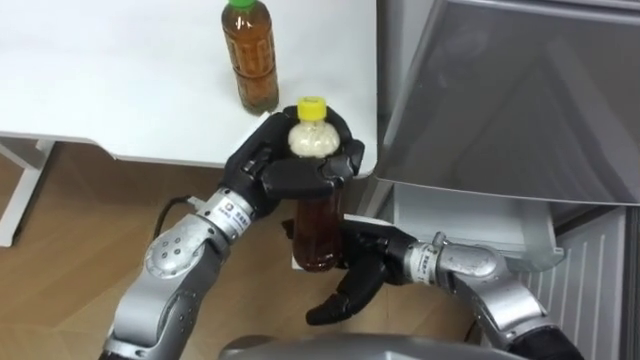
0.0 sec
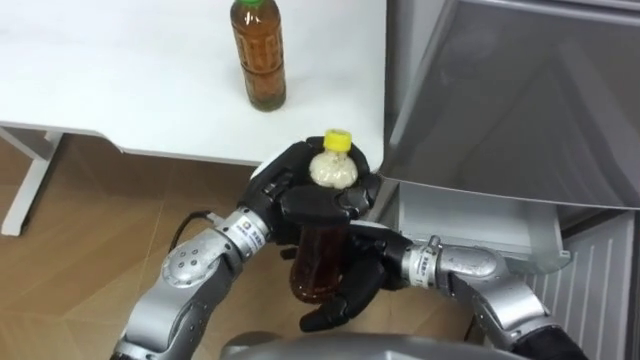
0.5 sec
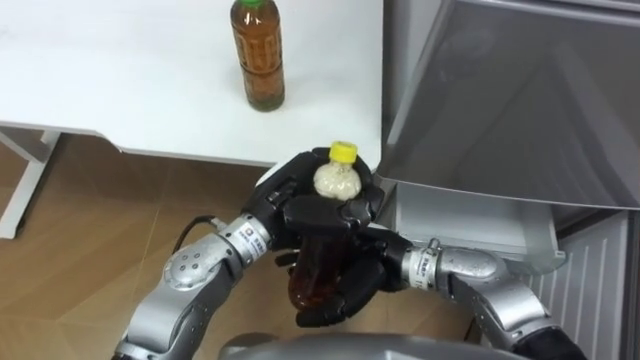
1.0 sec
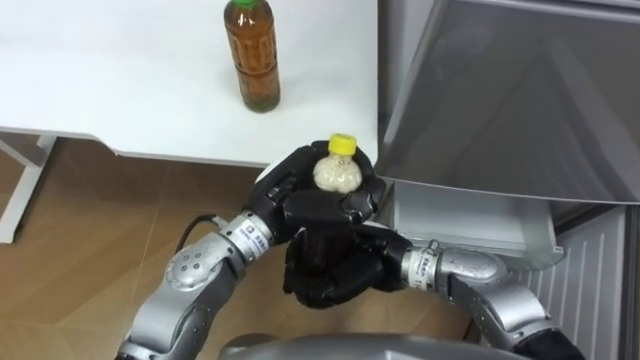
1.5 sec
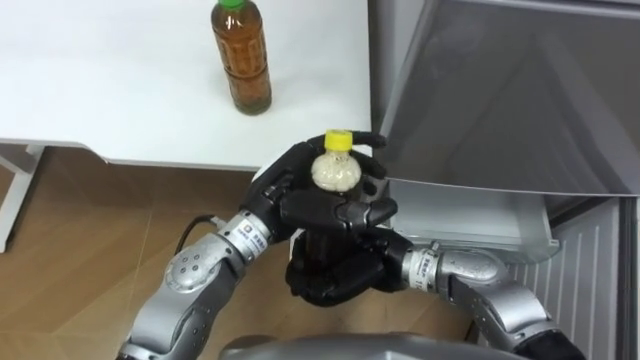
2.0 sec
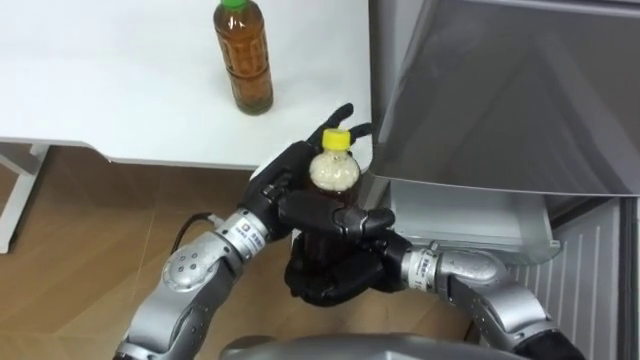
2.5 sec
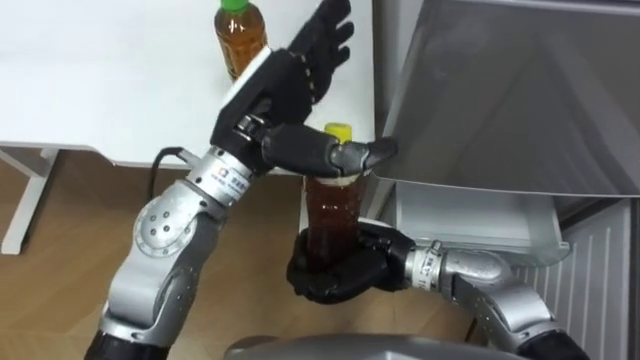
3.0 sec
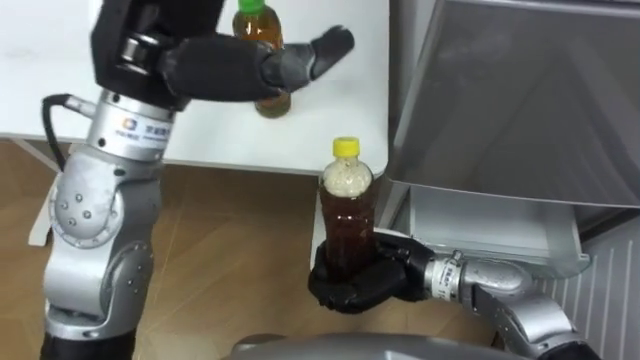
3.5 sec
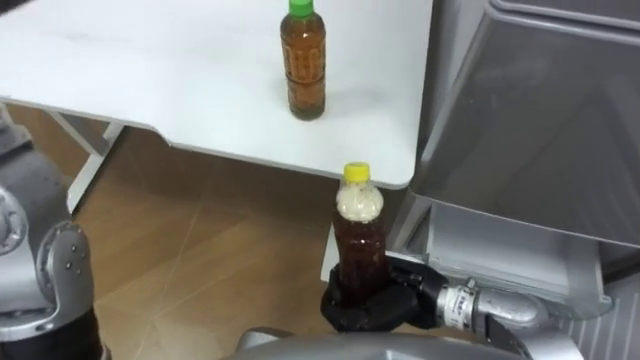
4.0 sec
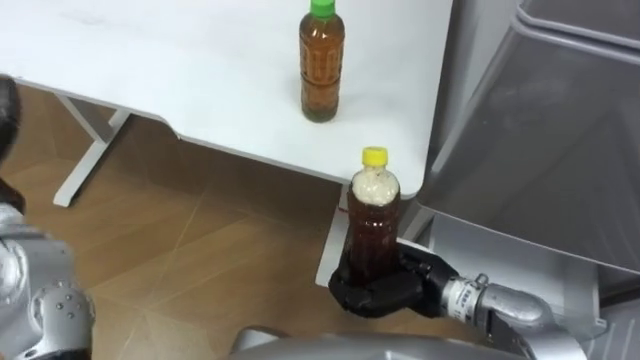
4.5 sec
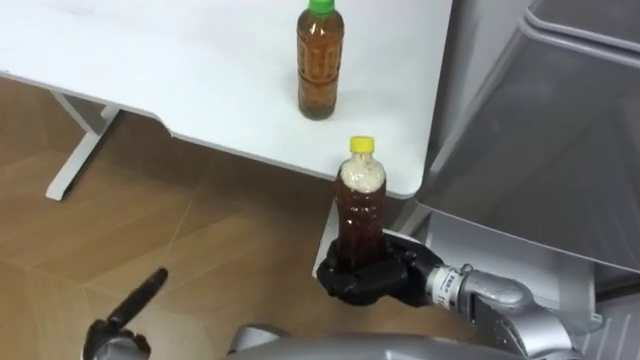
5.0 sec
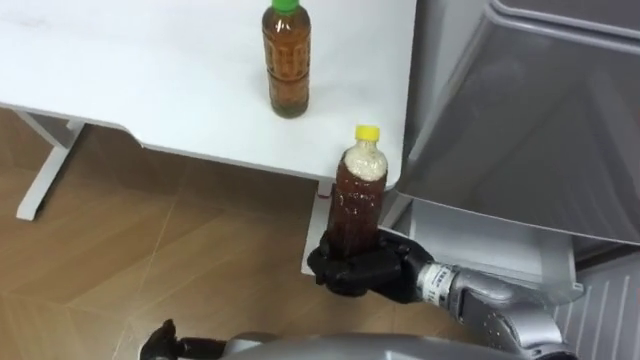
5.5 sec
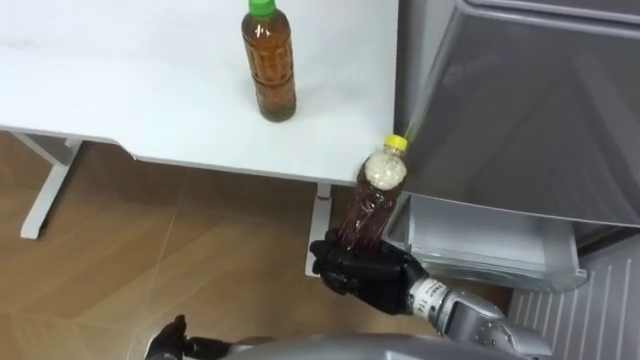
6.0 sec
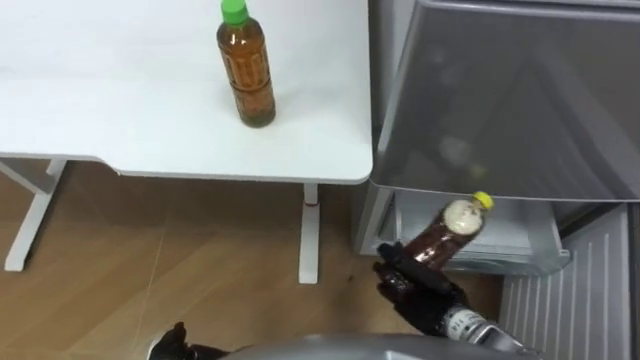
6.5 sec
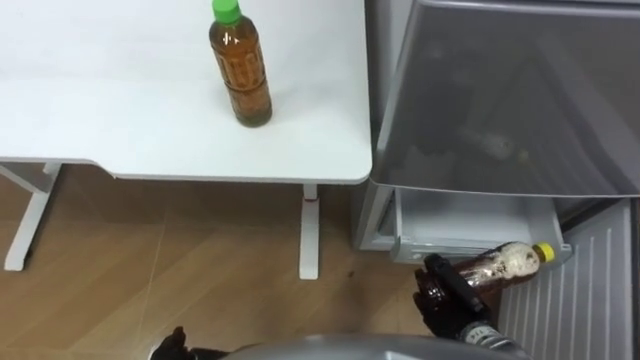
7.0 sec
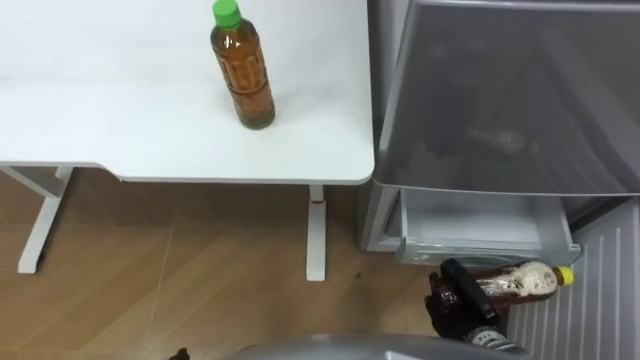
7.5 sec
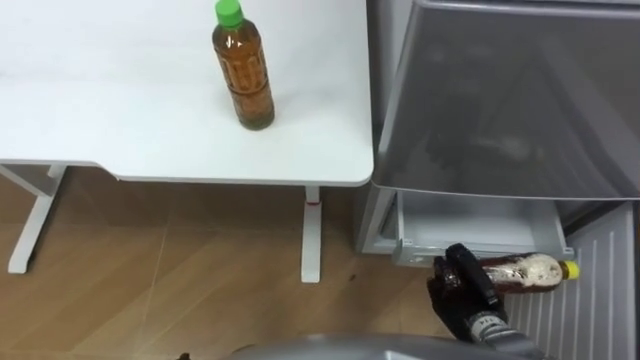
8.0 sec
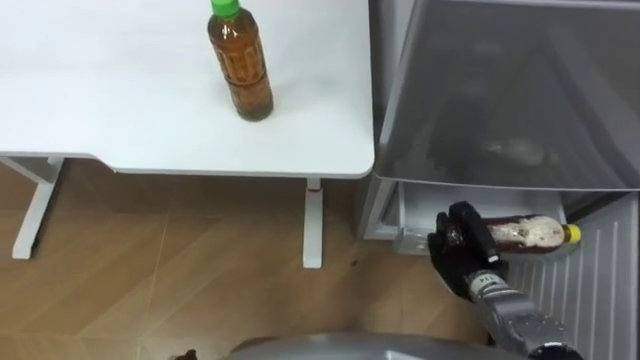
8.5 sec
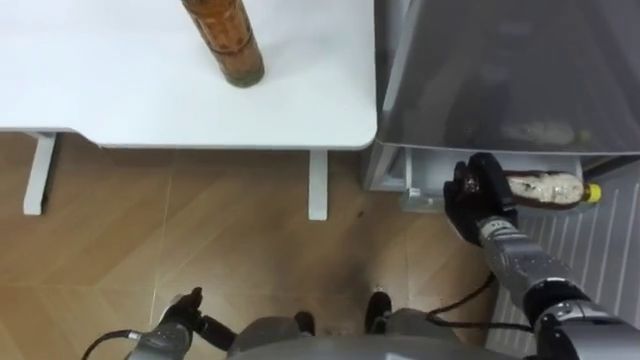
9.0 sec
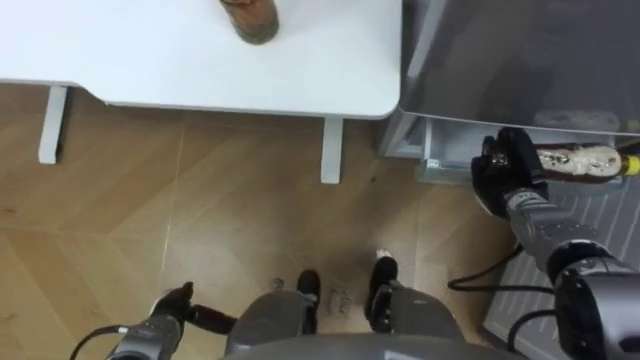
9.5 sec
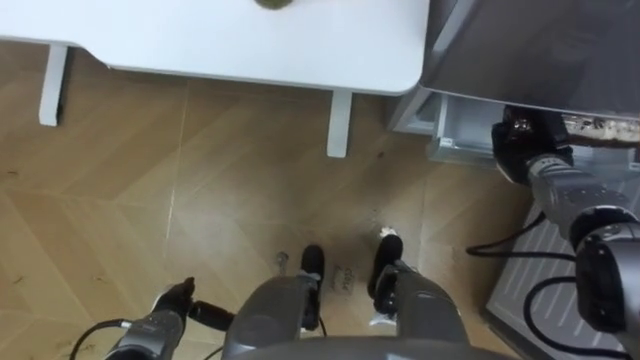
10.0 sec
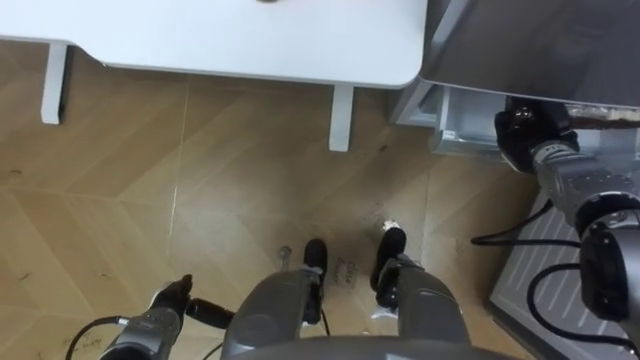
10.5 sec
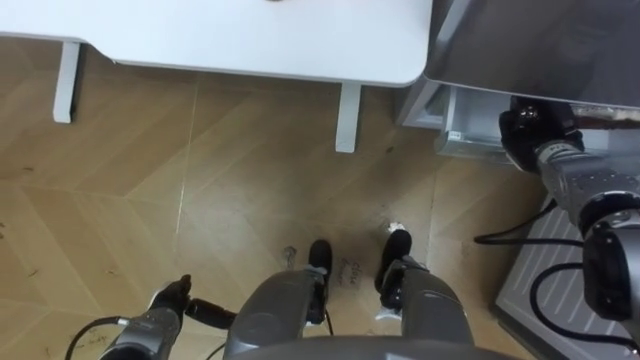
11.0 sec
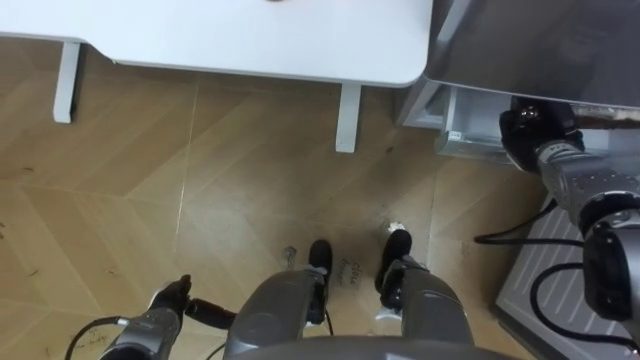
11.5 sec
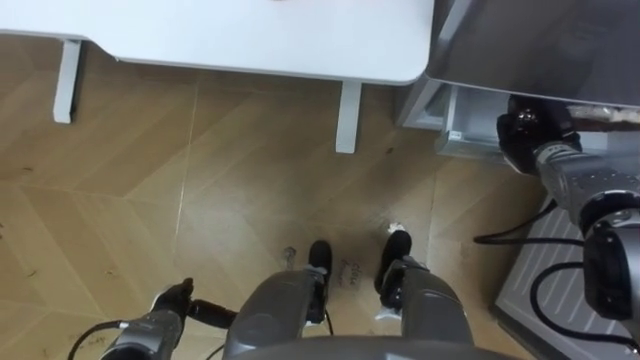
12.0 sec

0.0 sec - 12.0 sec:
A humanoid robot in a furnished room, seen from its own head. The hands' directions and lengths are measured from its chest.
Task of the whole recording: Place the drink on the table on the bottom shelf of the refrigerator, then close the drawer and the refrigerator door.
0.0 sec - 2.0 sec: The right hand closes.
2.0 sec - 4.0 sec: The right hand moves some 5 cm.
6.0 sec - 8.0 sec: The right hand goes some 15 cm to the right and downward.
8.0 sec - 10.0 sec: The right hand travels forward and upward by about 25 cm.

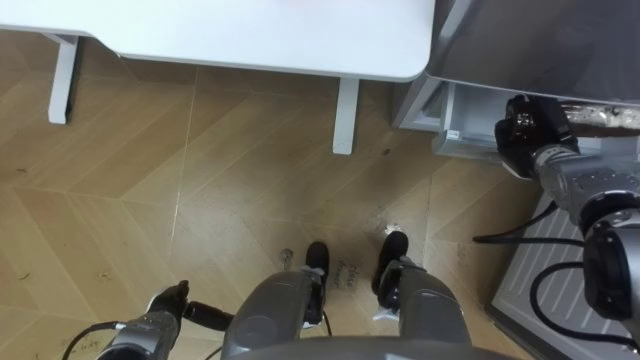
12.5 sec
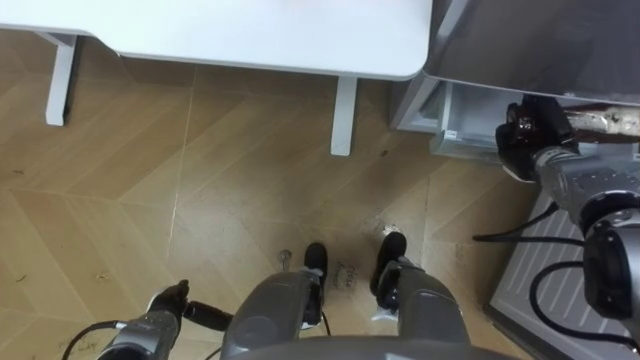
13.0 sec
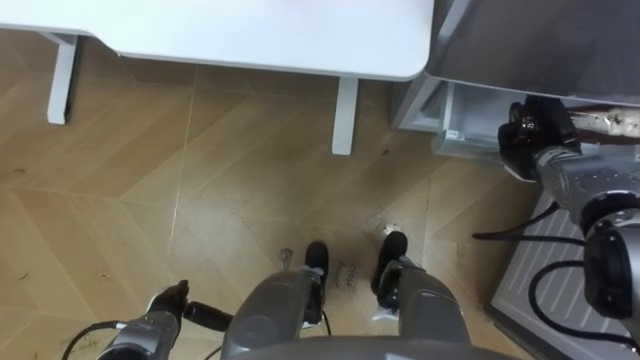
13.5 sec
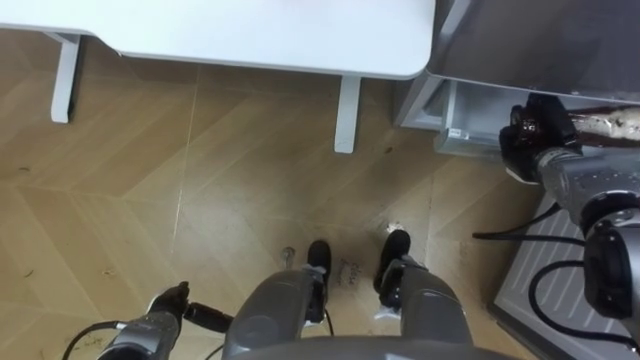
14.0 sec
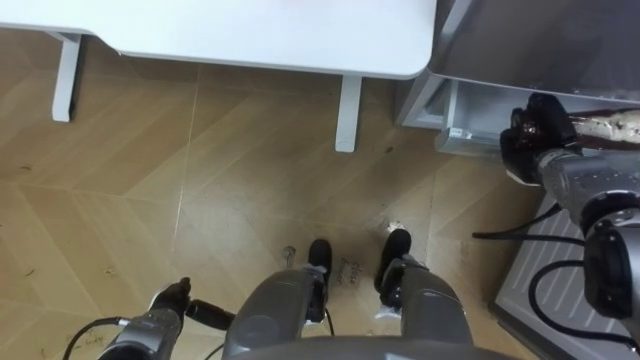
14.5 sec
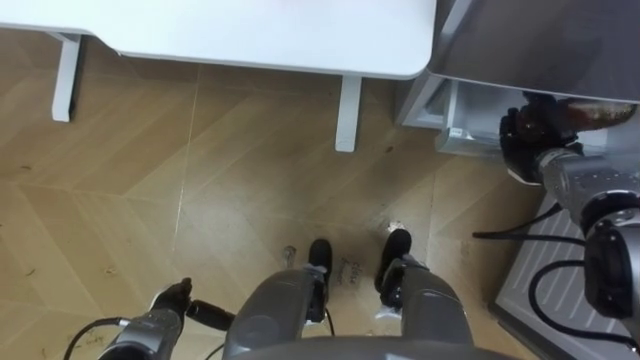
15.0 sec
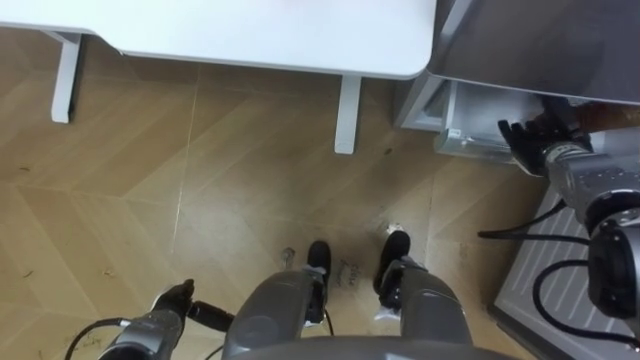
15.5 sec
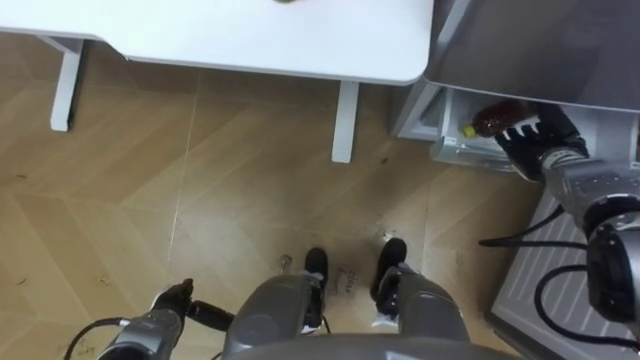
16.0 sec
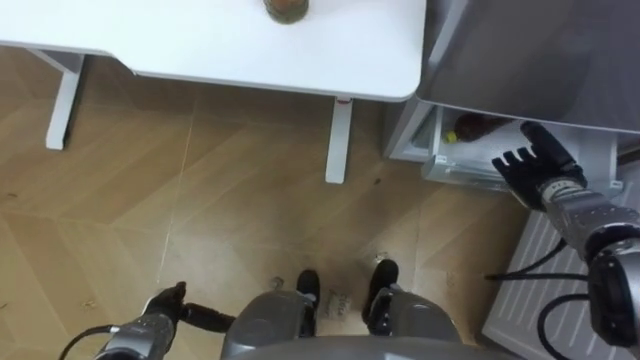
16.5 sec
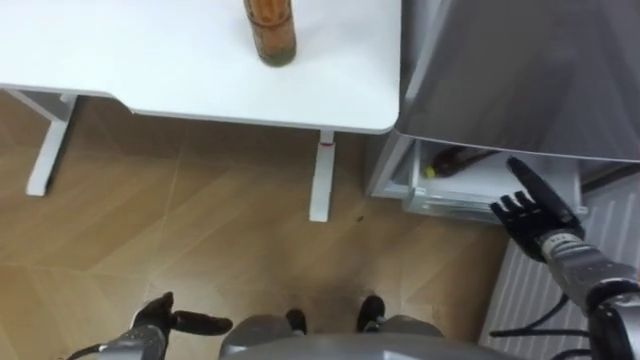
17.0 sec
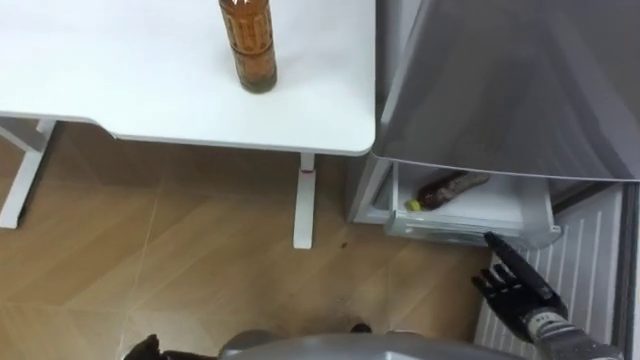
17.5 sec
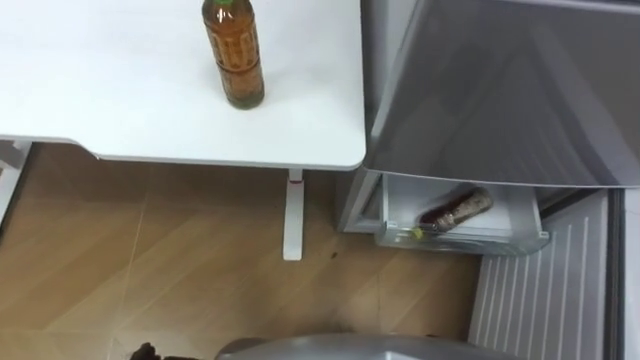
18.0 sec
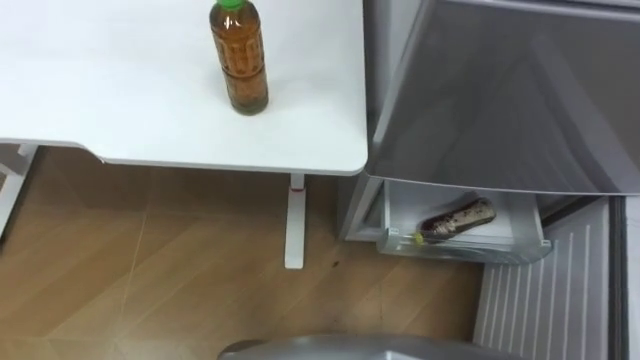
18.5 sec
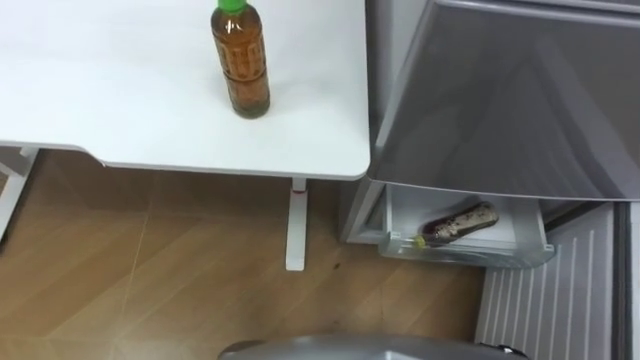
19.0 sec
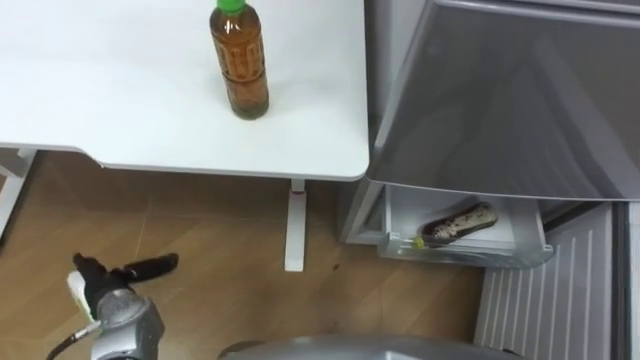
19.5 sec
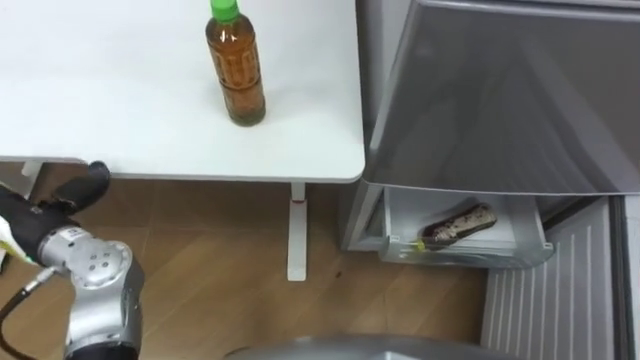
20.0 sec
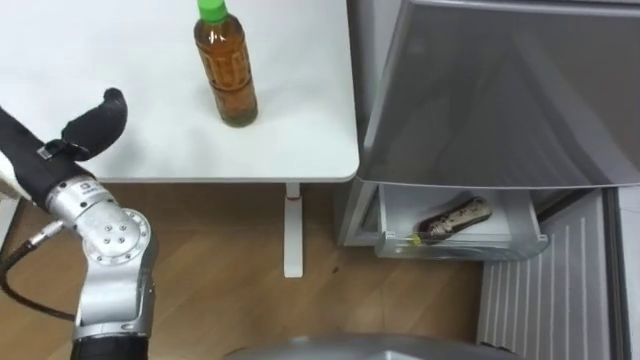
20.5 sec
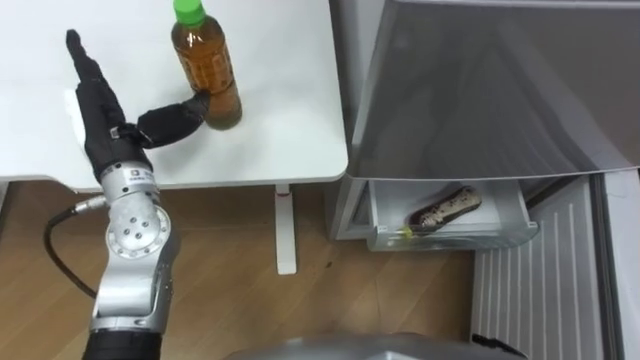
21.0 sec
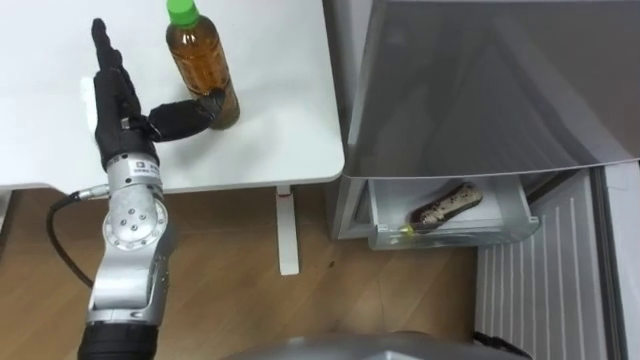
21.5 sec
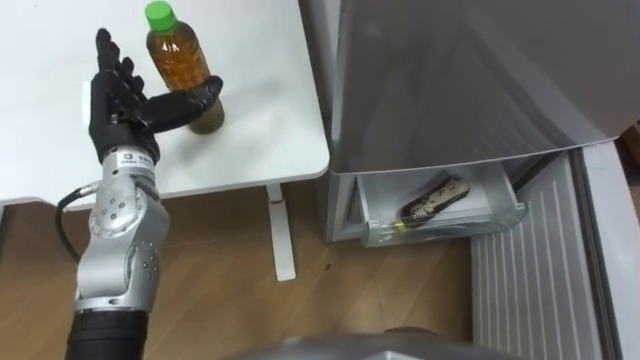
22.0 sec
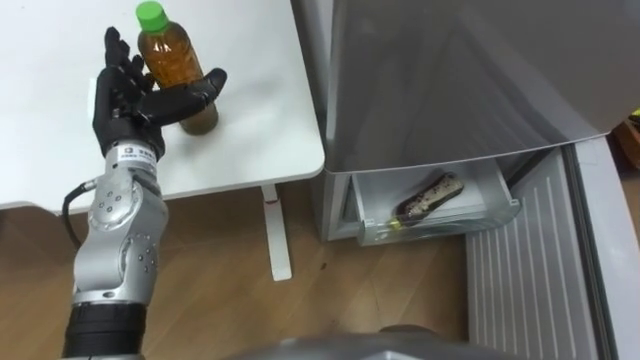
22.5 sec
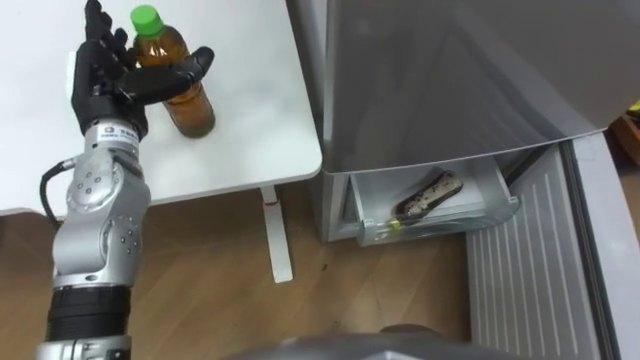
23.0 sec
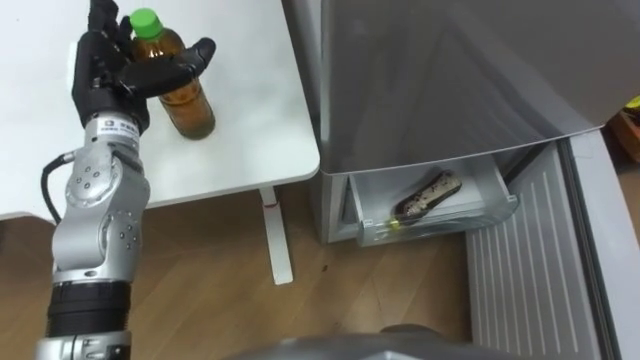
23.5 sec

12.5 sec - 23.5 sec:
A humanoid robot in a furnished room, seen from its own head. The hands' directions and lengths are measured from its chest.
Task of the whole recording: Place the drink on the table on the bottom shelf of the refrigerator, then close the drawer and the refrigerator door.
12.5 sec - 14.5 sec: The hands move only a little.
14.5 sec - 16.0 sec: The right hand opens.
20.0 sec - 21.5 sec: The left hand travels to the right, forward and upward by about 15 cm.
